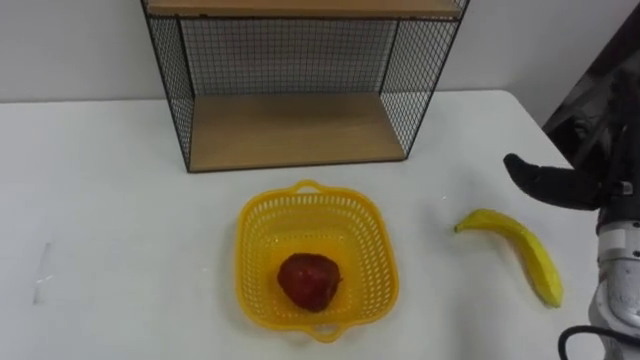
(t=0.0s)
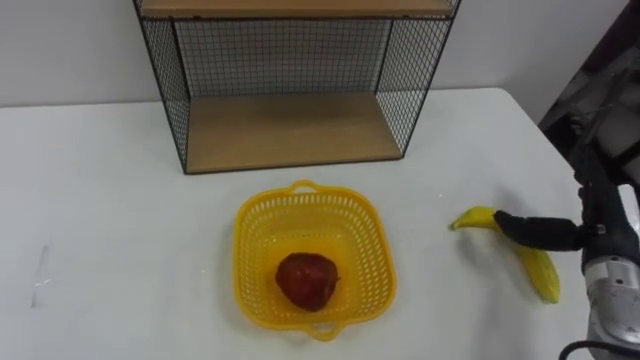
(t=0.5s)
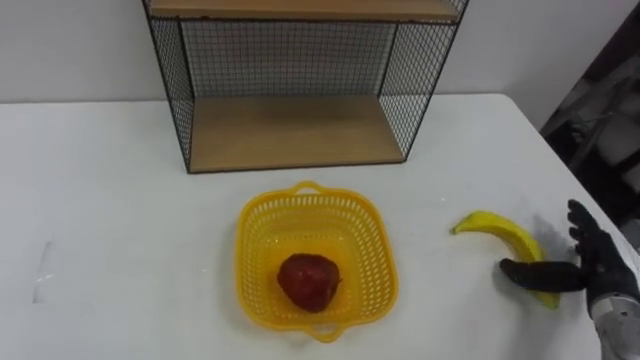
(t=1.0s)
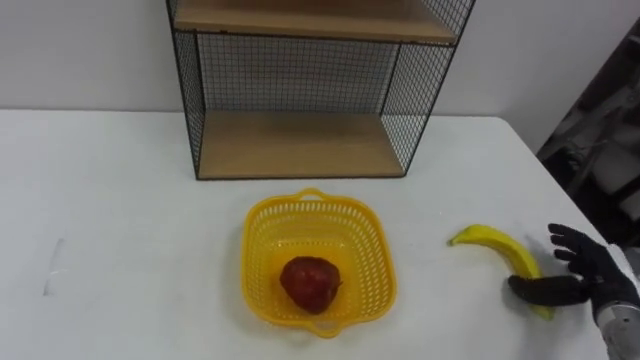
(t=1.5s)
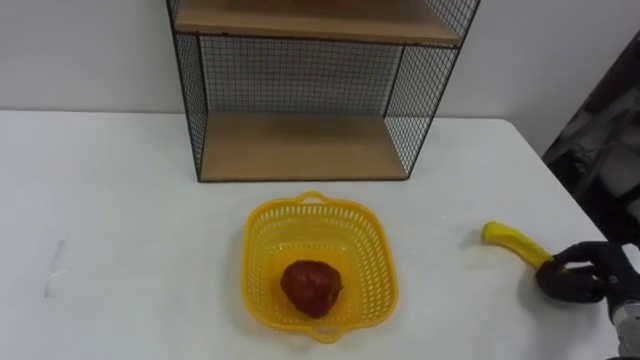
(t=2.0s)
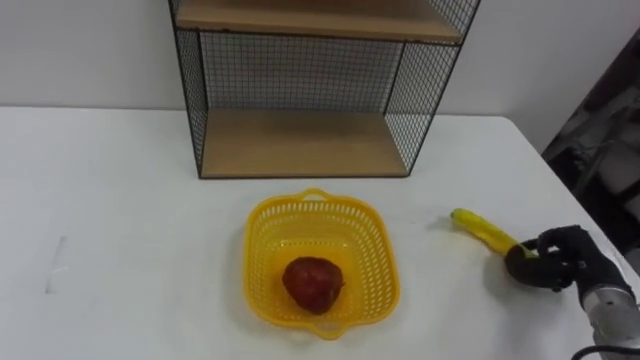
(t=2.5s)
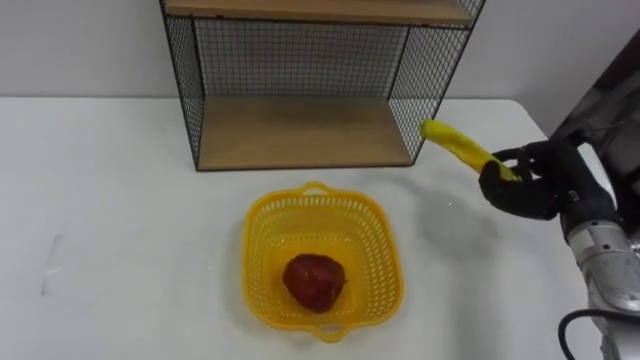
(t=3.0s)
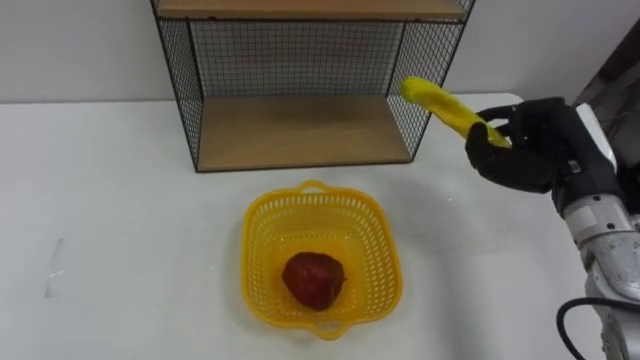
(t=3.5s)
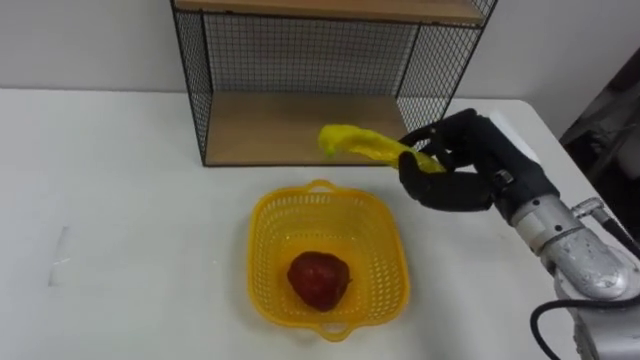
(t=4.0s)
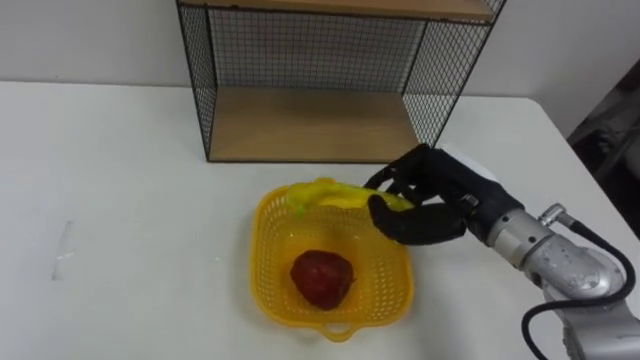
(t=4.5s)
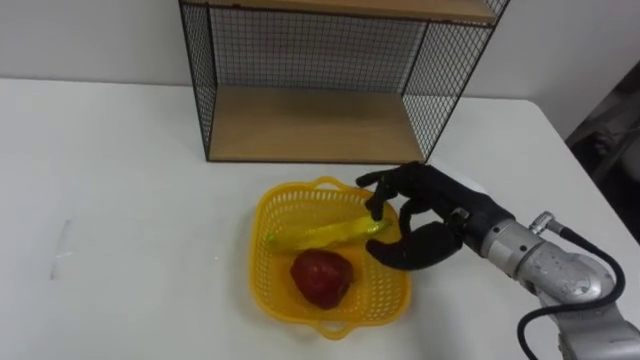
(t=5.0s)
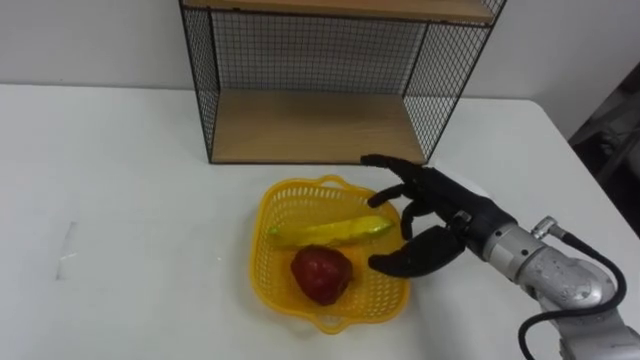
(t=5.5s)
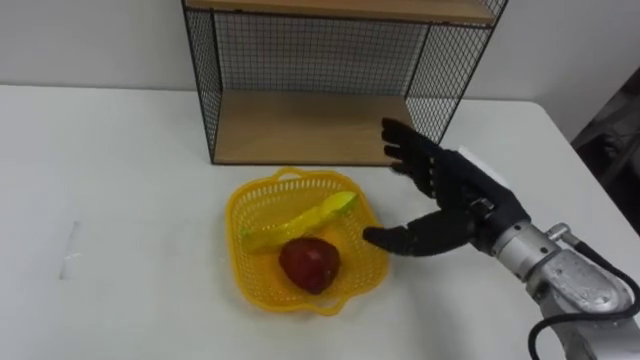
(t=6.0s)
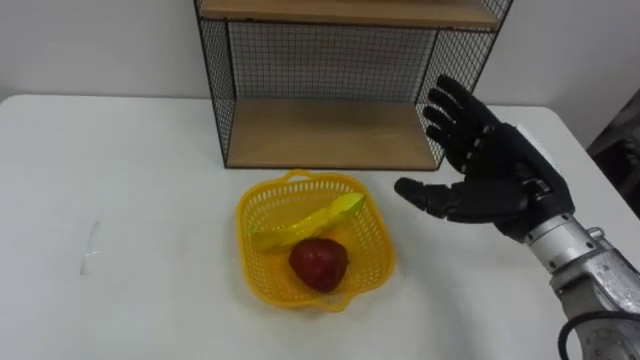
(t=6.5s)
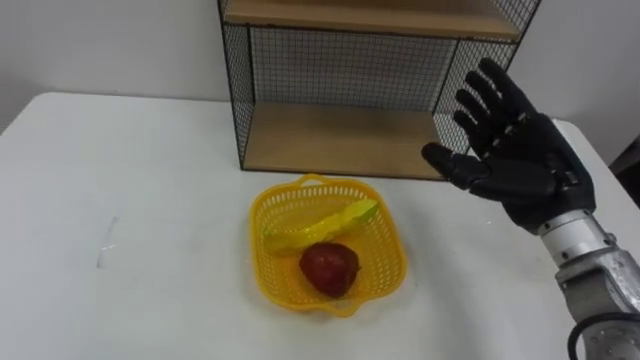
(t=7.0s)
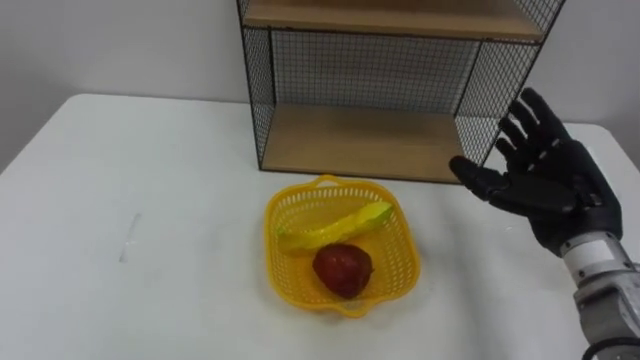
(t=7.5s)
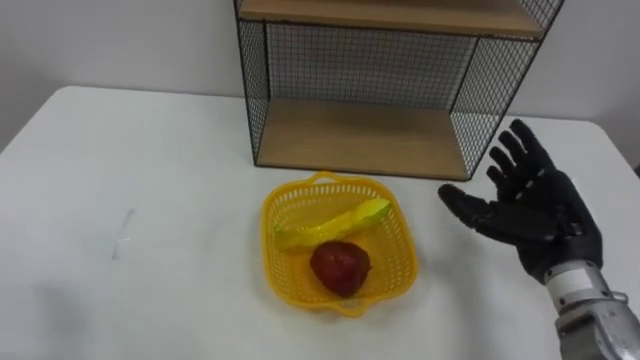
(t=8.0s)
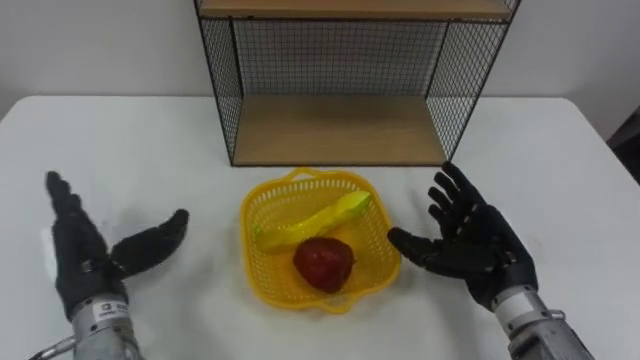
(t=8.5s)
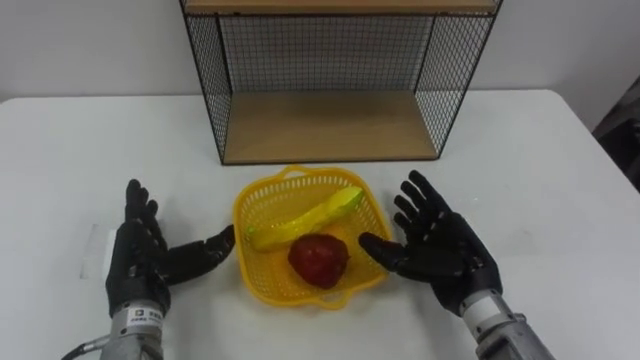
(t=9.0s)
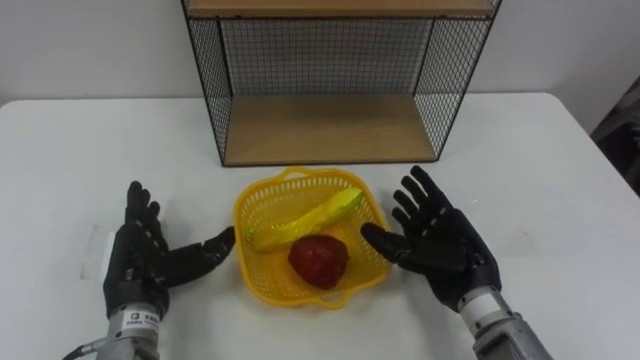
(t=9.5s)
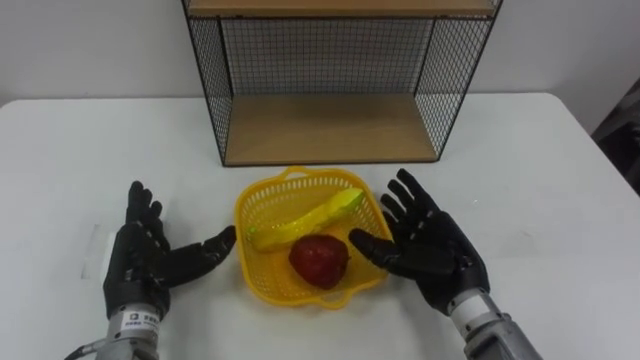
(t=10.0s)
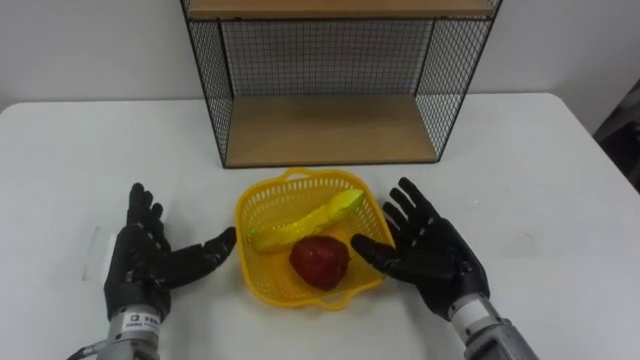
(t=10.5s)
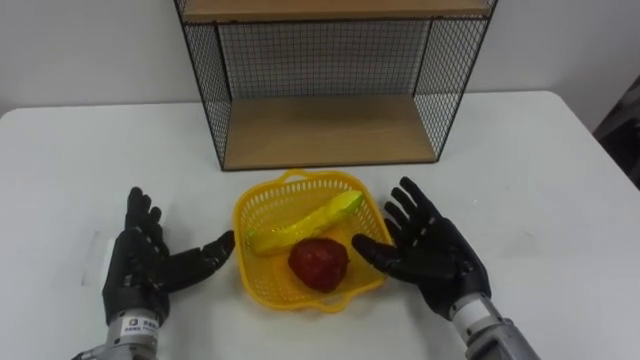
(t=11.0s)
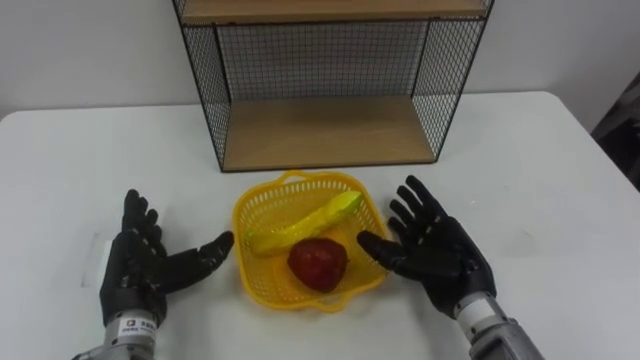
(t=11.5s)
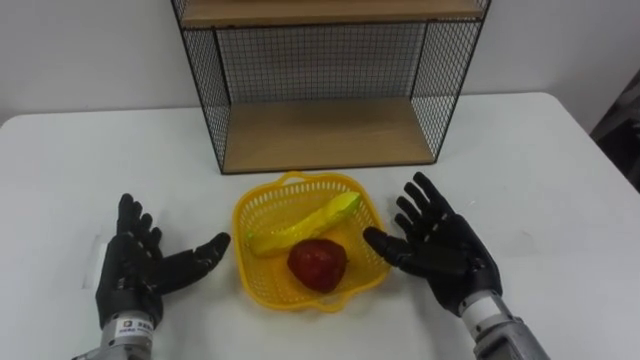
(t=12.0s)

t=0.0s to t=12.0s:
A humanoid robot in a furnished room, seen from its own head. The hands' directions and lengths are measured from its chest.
Task of the whole recording: Put the fruit on the table into the basket, then place the basket on the shelf.
t=0.0s to t=2.0s: The right hand heads downward, covering about 15 cm, and closes its fingers.
t=2.0s to t=4.0s: The right hand travels to the left, upward and forward by some 25 cm.
t=4.0s to t=6.0s: The right hand opens.
t=6.0s to t=8.0s: The right hand is displaced to the right by some 10 cm.
t=8.0s to t=10.0s: The right hand moves to the left and downward, roughly 15 cm.
t=10.0s to t=12.0s: The hands stay close to where they were, moving slightly.

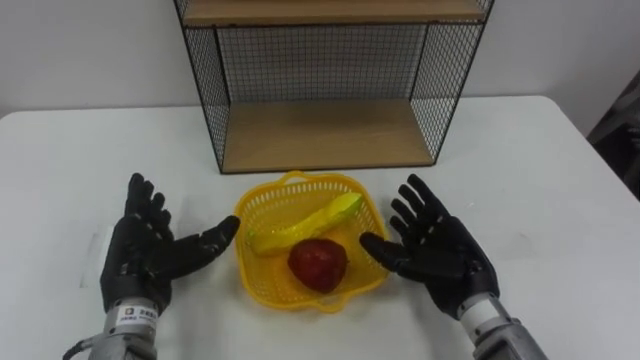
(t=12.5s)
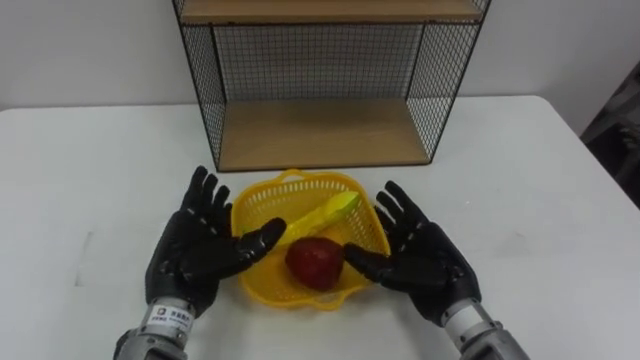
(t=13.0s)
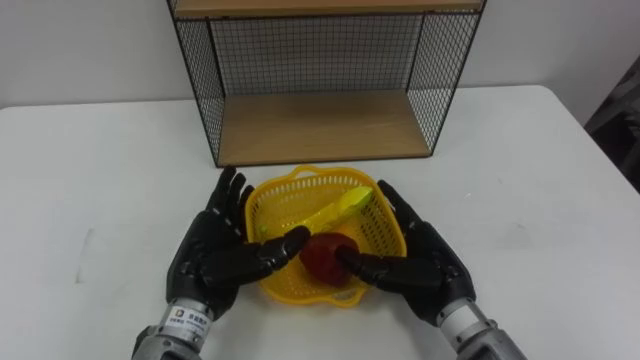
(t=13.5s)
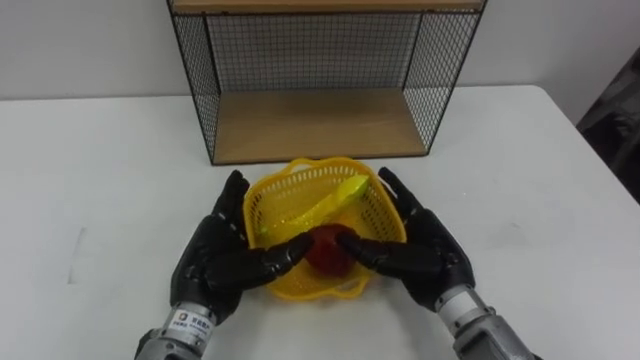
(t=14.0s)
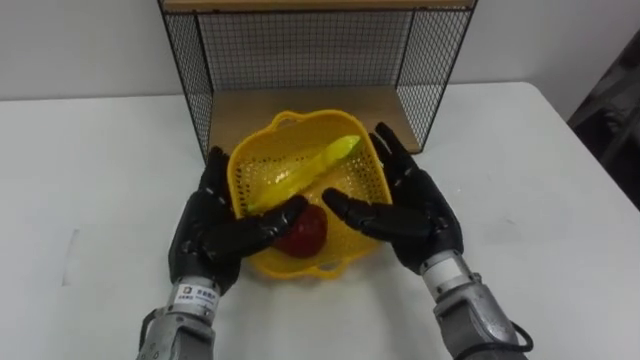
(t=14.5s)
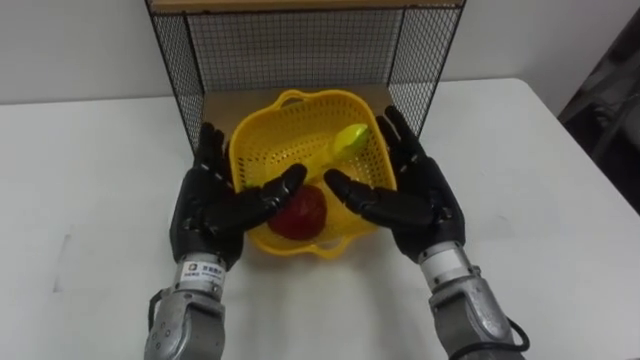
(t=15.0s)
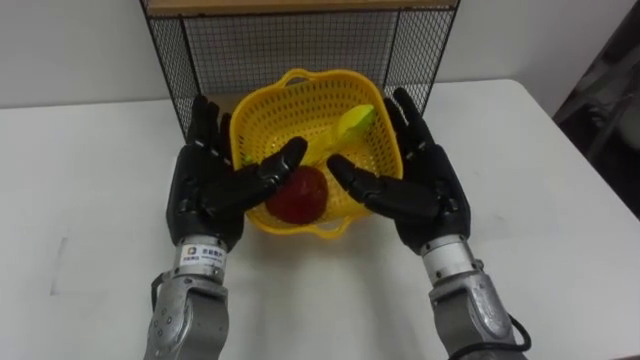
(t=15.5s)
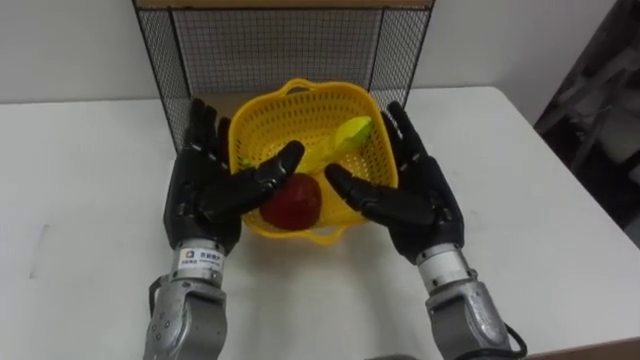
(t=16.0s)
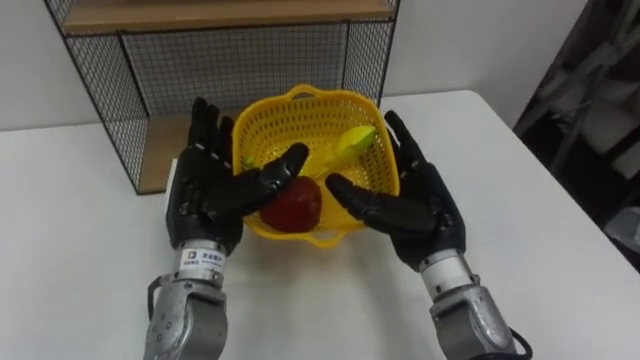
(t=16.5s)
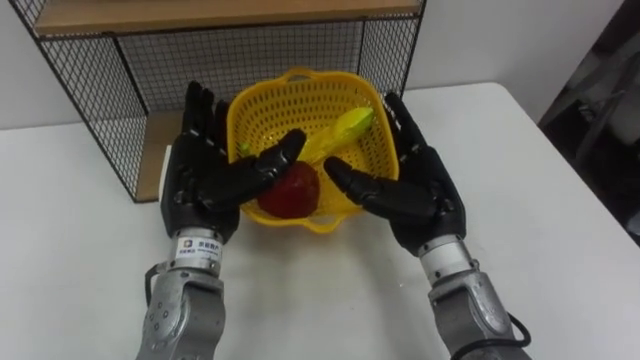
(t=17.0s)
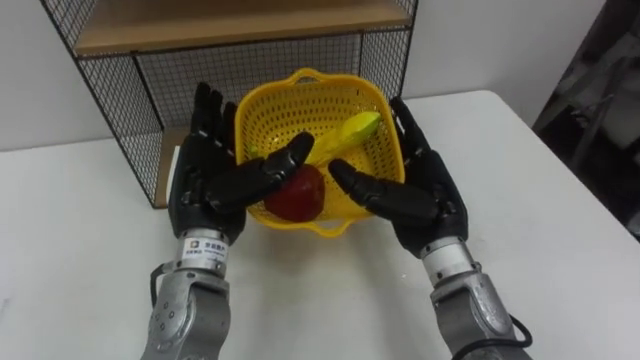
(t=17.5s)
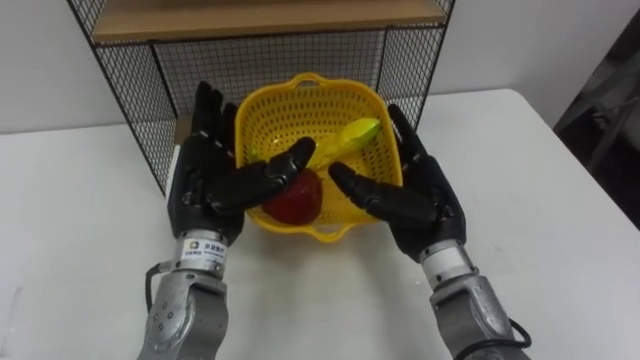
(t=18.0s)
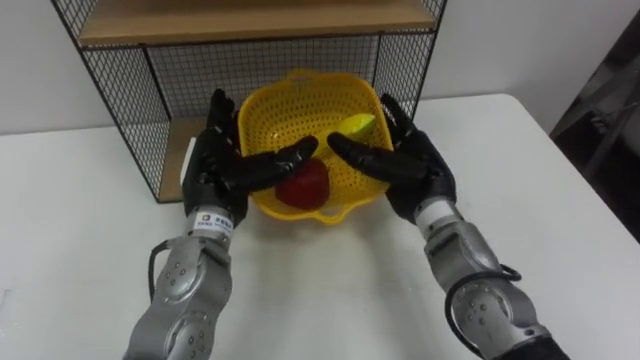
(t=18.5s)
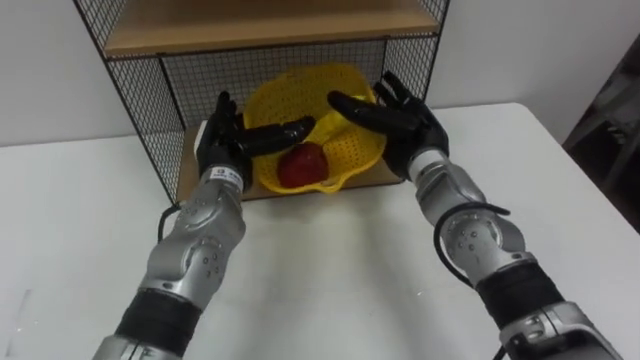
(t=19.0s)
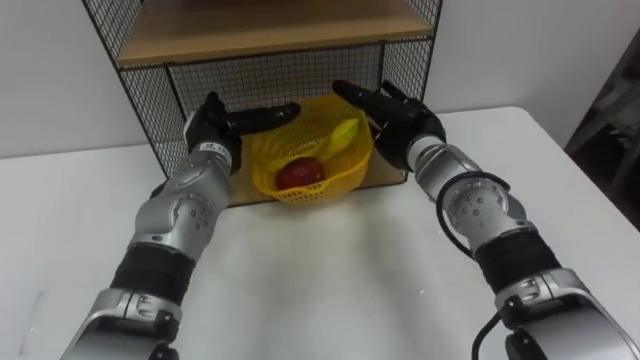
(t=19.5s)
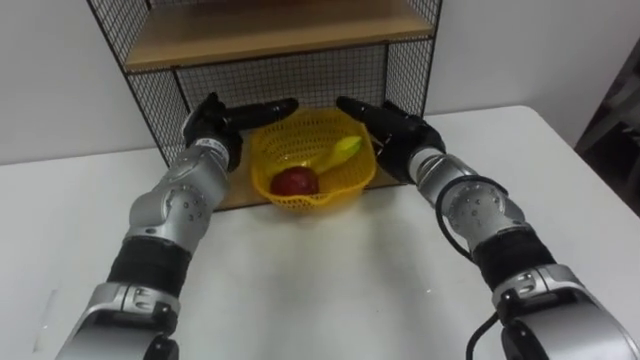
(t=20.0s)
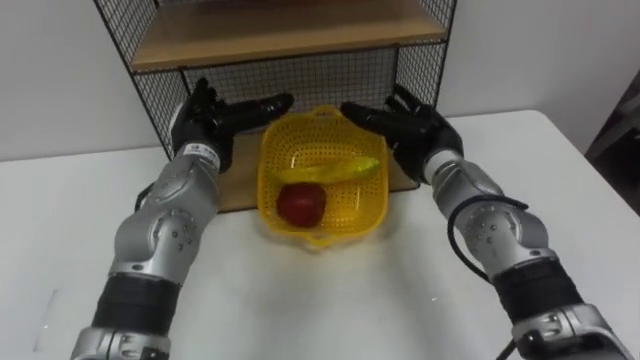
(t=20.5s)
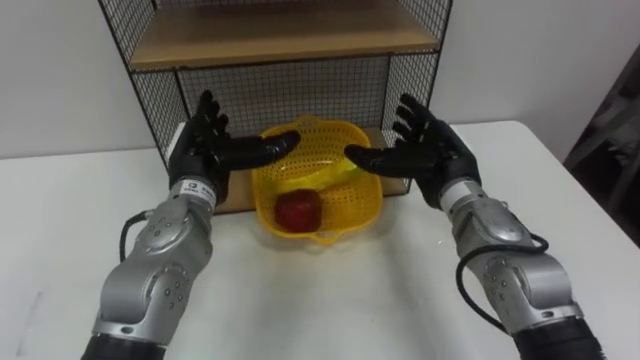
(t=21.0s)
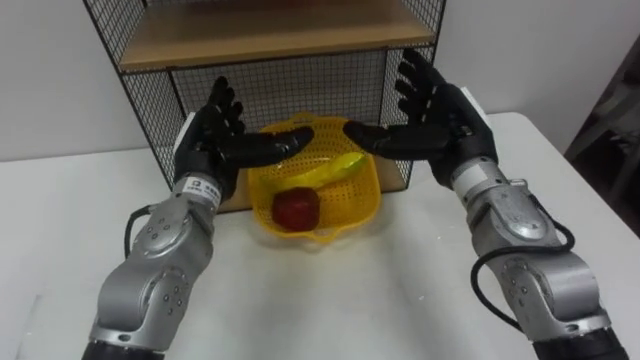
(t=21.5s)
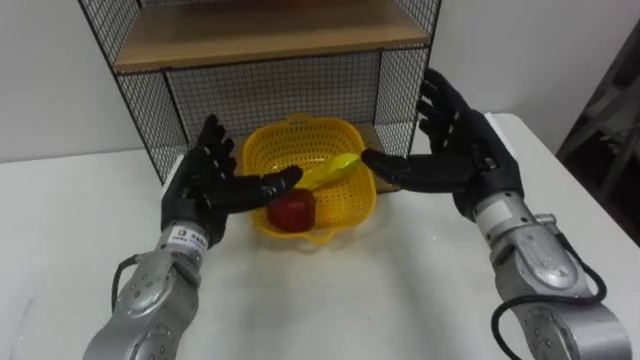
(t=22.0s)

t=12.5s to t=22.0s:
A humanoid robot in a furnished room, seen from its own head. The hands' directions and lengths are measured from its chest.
Task of the whole recording: Put the fruit on the table into the basket, then place the basket on the shelf.
t=12.5s to t=14.5s: The left hand moves to the right, some 10 cm; the right hand is displaced to the left by roughly 5 cm.
t=14.5s to t=16.5s: The left hand is displaced upward by approximately 5 cm.
t=18.0s to t=20.0s: Both hands travel together forward, about 10 cm.
t=20.0s to t=22.0s: The right hand is displaced backward, upward and to the right by roughly 15 cm. The left hand moves backward, some 10 cm.
